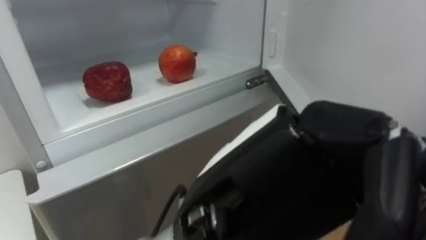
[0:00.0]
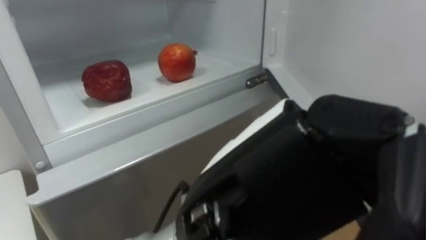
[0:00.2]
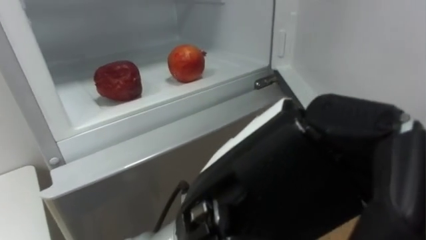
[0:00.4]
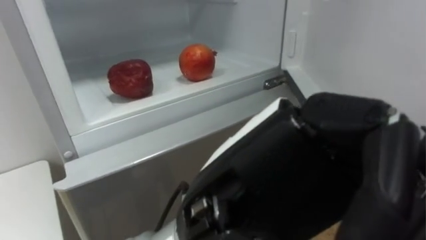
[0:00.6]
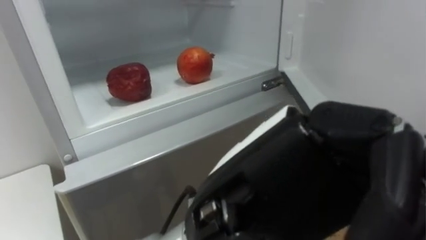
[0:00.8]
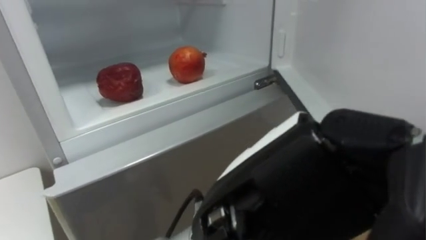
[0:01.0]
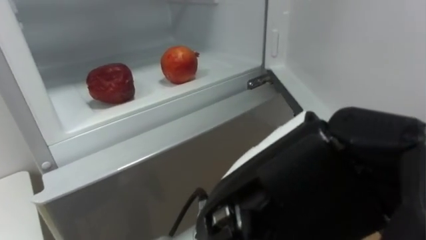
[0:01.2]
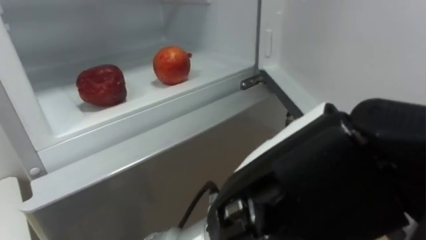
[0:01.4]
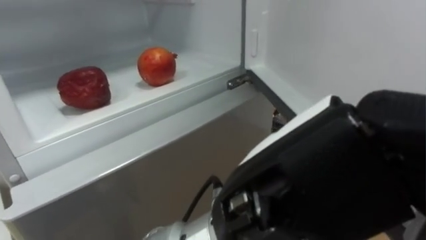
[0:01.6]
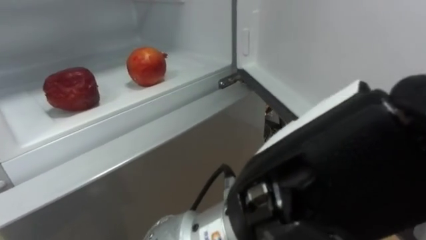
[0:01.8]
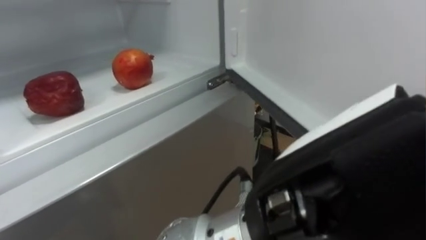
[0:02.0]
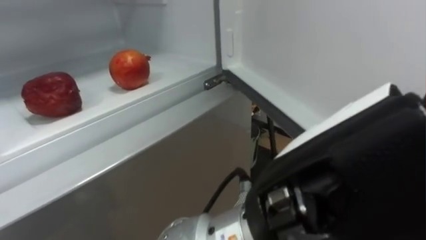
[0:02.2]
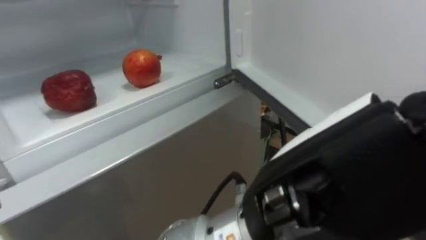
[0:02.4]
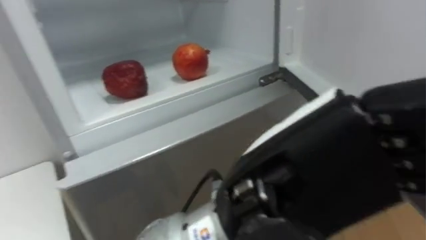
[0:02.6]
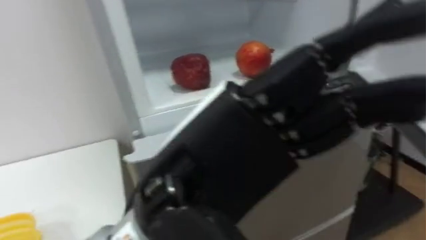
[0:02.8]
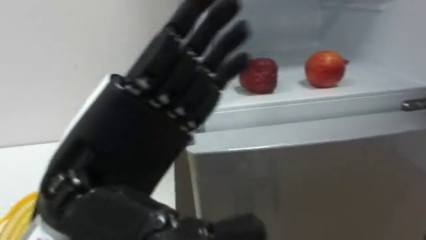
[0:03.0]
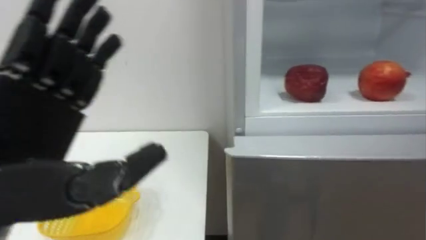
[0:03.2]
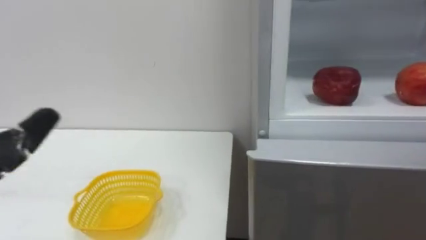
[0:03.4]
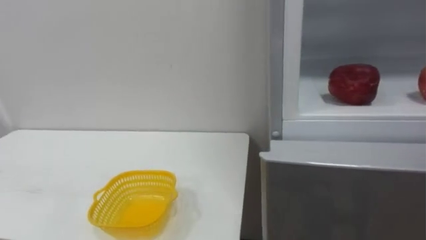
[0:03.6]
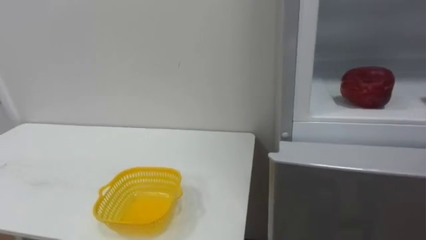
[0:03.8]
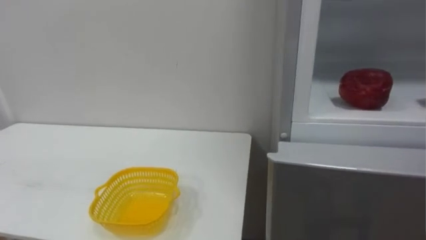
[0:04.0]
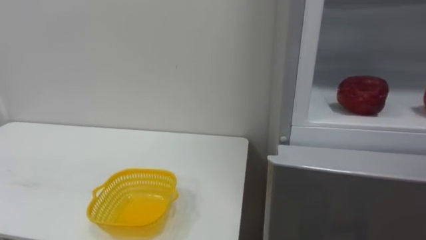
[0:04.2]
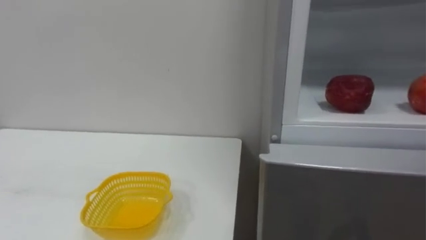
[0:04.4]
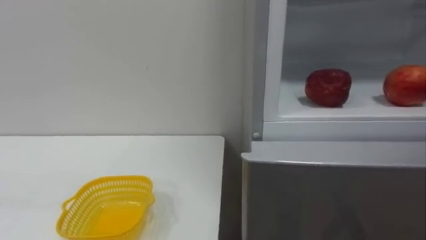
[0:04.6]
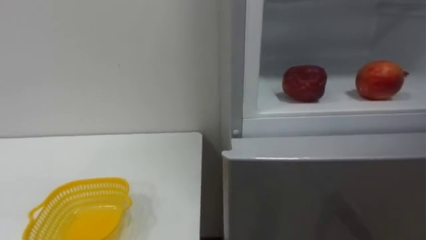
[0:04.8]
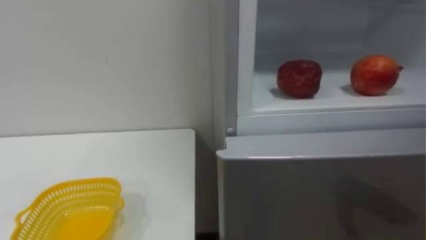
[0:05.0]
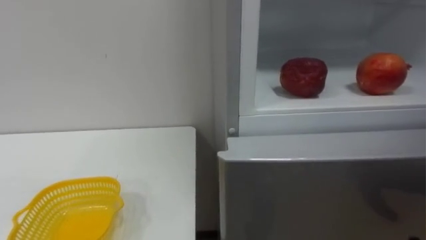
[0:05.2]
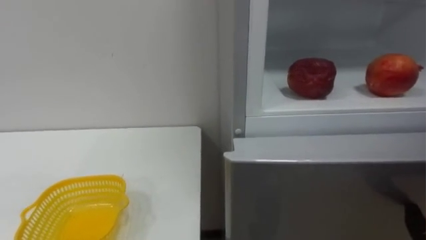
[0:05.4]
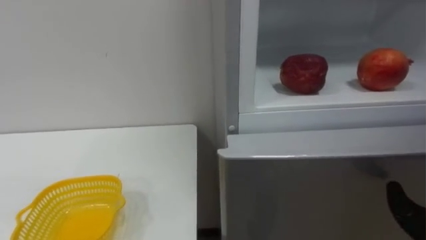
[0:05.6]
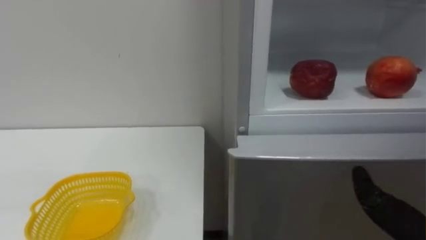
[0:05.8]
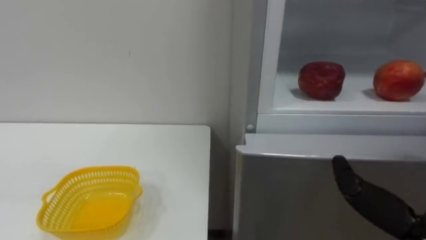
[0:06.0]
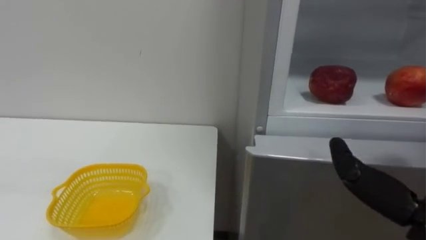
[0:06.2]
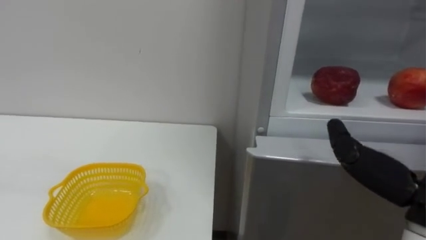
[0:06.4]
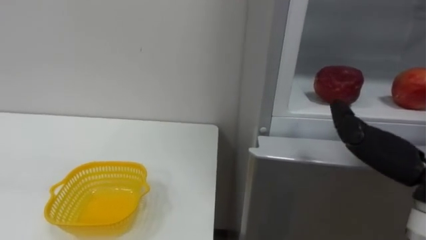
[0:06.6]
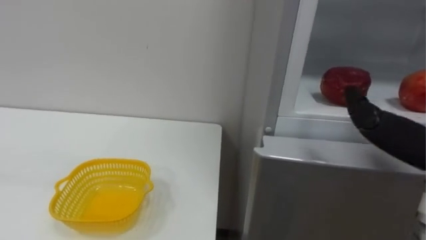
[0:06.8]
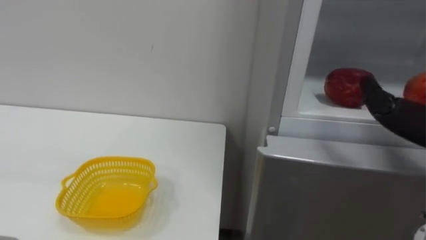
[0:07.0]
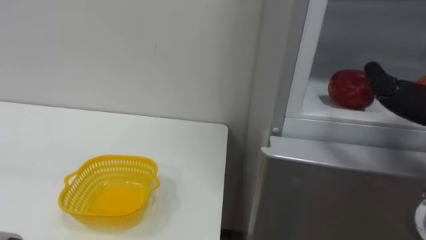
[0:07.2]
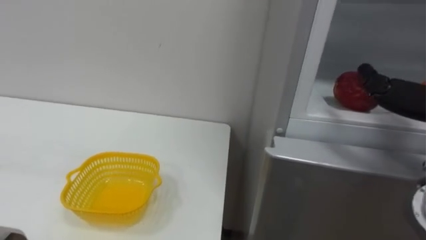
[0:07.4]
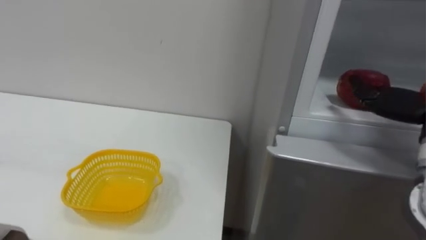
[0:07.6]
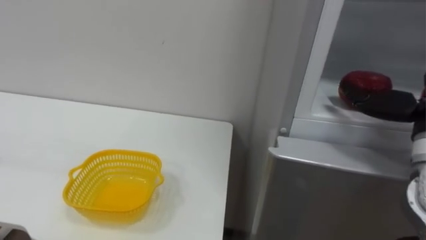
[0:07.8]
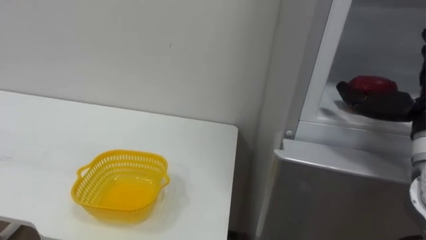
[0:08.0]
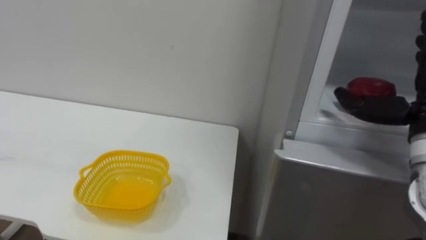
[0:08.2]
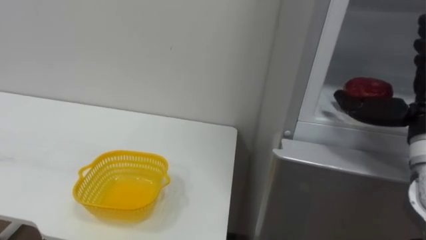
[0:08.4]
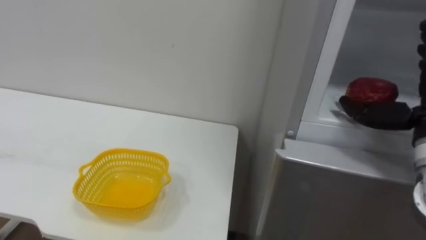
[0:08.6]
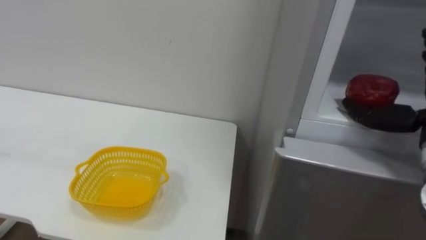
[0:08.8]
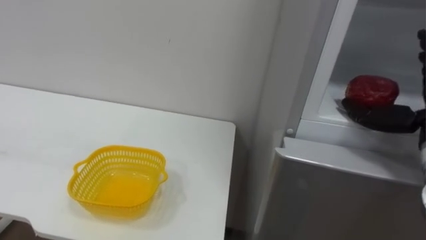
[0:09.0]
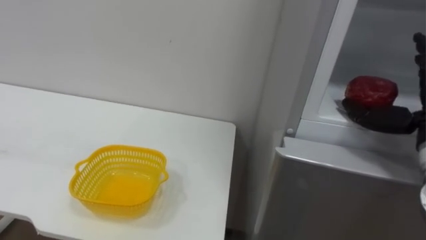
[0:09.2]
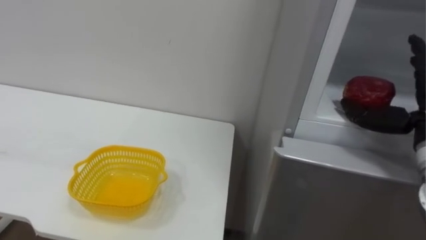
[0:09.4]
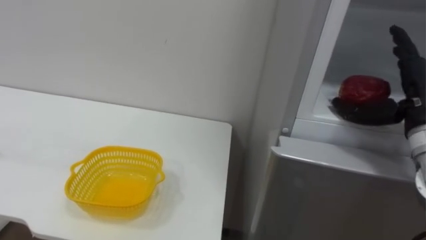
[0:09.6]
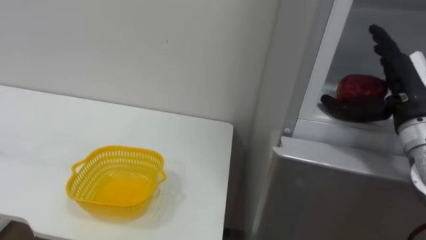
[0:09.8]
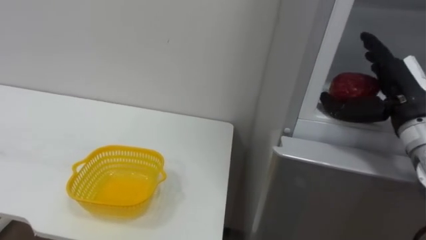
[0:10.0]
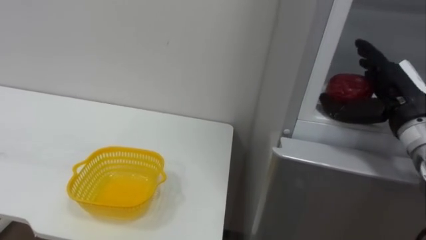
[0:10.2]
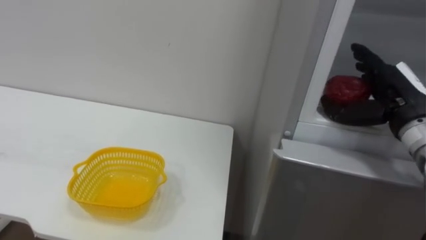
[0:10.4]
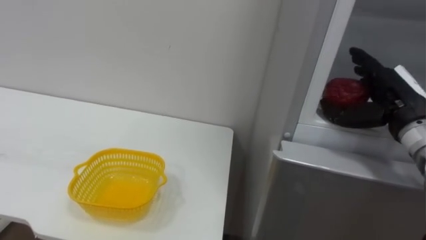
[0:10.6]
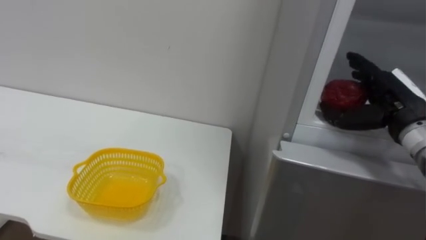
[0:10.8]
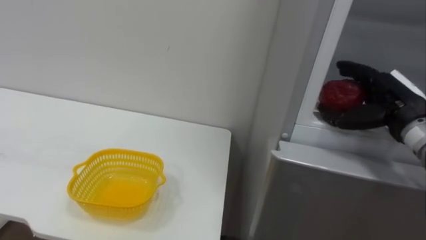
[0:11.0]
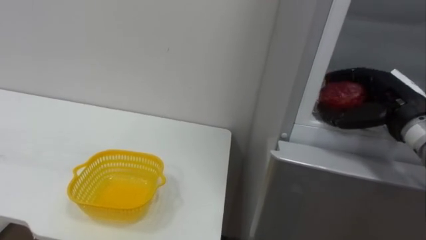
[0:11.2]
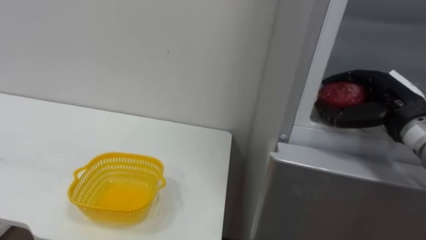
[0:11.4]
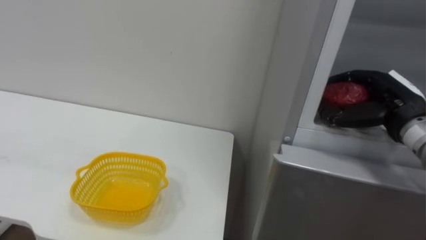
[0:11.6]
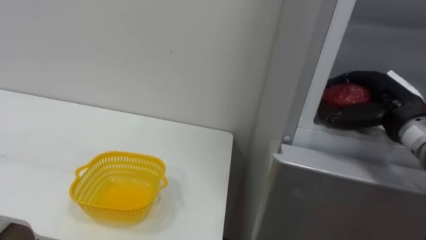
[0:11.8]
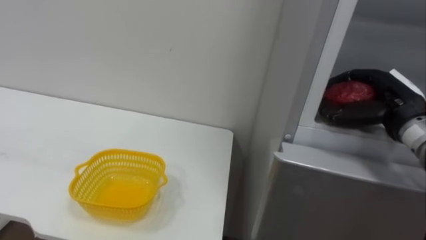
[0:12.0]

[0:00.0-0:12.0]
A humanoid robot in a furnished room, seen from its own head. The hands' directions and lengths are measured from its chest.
Task of the whole recording: Open the refrigerator door, take out the apple and the pomegranate, place them in the fruit basket on the left, and close the refrigerator door.
0:01.6 to 0:03.0: The left hand heads to the left, covering roughly 15 cm, and opens its fingers.
0:10.4 to 0:12.0: The right hand closes its fingers.

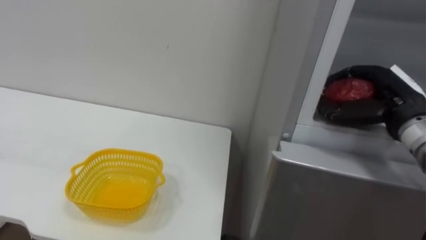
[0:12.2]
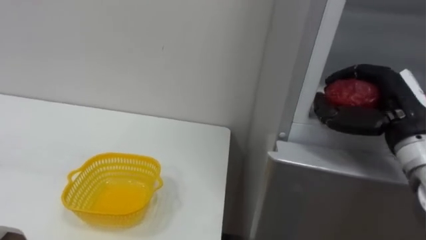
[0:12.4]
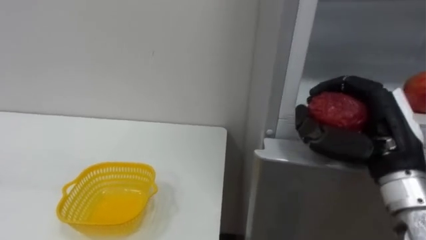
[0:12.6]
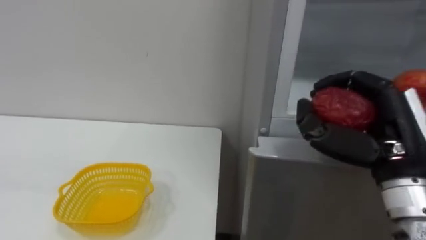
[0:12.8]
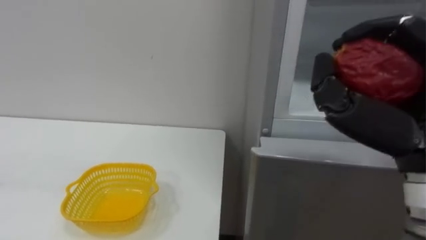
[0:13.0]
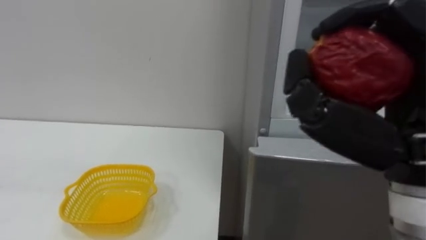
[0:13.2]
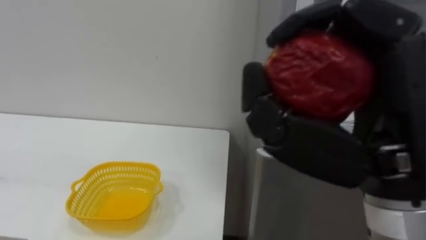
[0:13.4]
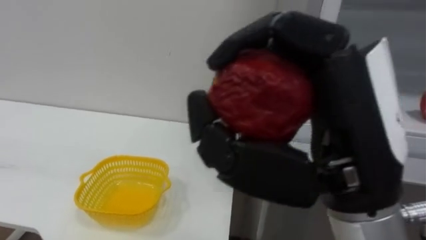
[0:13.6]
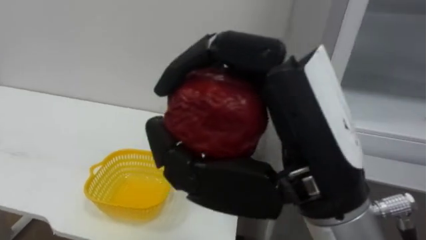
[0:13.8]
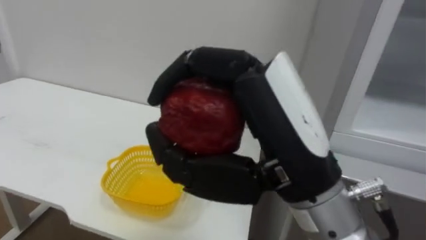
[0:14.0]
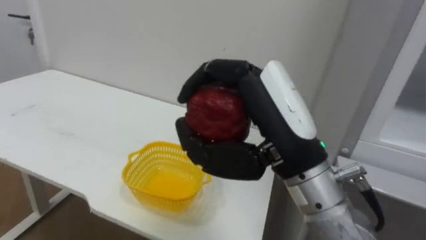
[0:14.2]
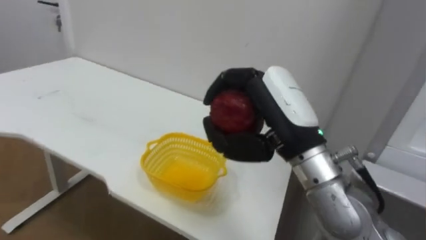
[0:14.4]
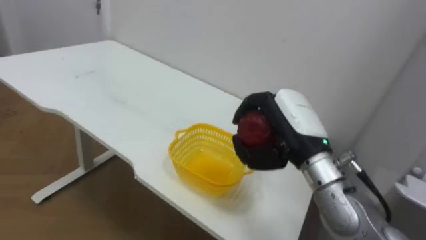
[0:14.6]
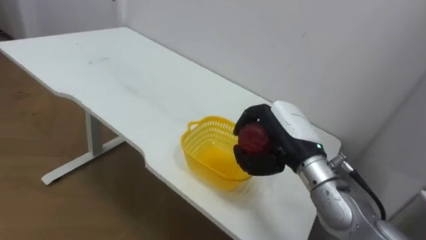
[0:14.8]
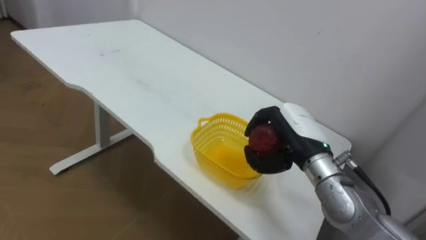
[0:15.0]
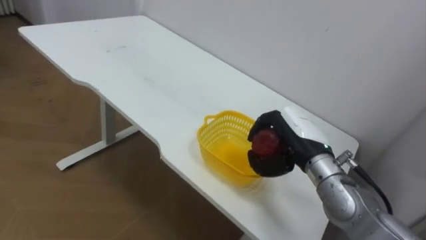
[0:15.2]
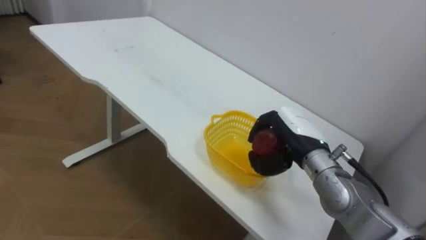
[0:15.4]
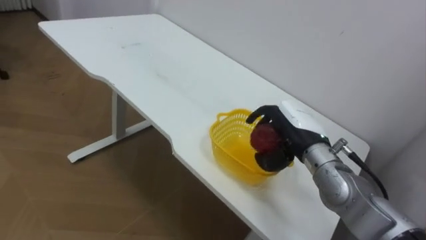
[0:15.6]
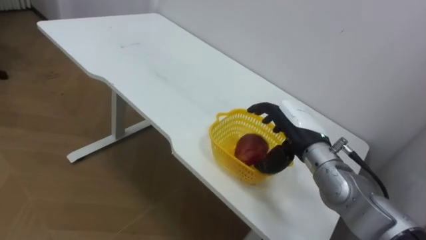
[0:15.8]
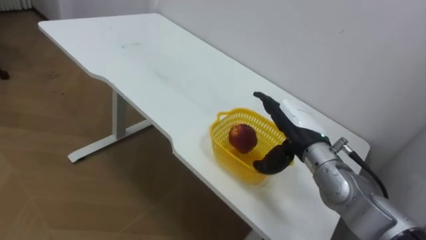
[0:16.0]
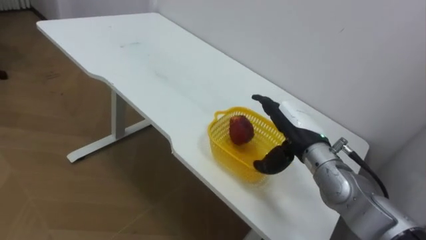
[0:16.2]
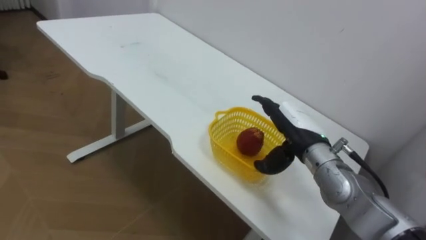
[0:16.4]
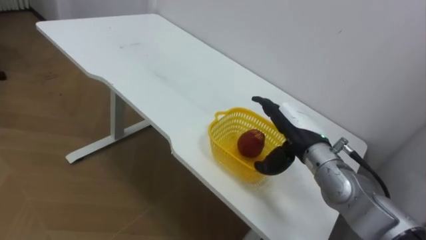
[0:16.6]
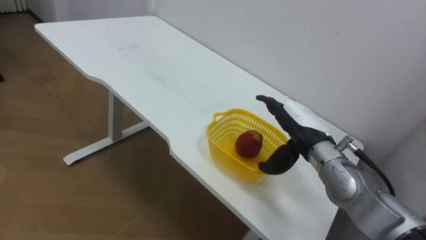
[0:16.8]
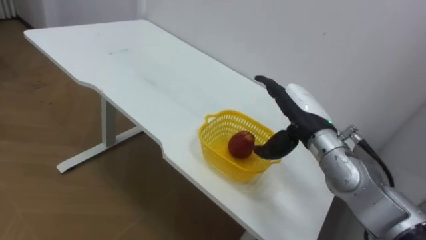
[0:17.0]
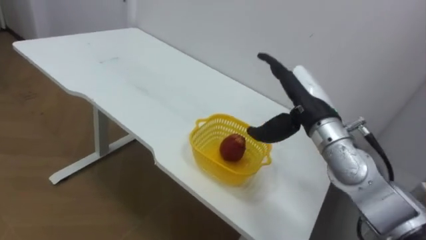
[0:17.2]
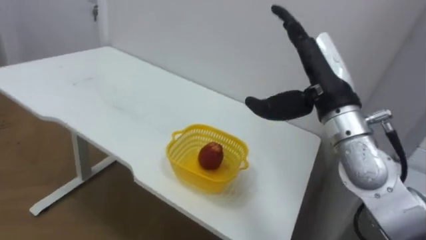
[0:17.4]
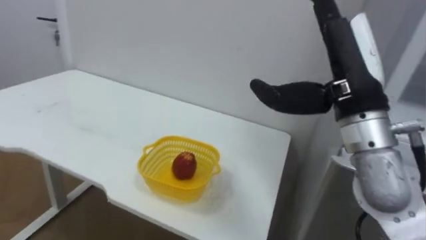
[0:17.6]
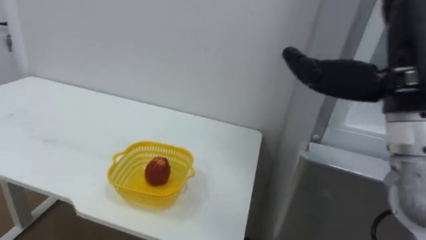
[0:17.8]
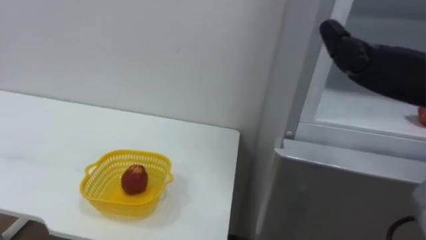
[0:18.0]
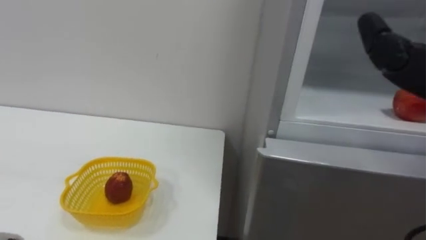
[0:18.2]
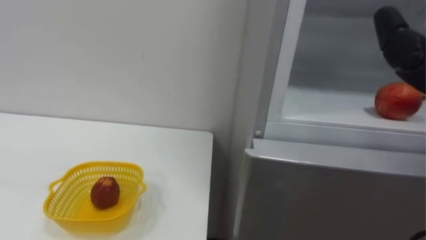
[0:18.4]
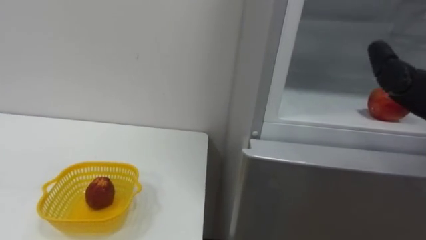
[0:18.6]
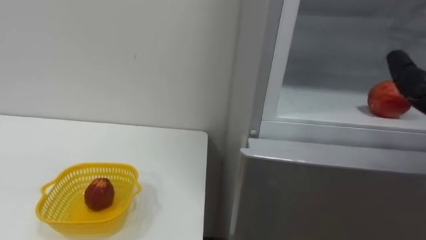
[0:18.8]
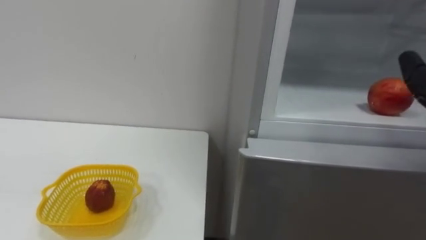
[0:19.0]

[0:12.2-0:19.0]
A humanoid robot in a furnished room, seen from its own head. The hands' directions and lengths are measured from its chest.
Task of the whole recording: Open the refrigerator door, take out the apple and the pomegranate, place them in the fruit basket on the left, and close the refrigerator door.
0:12.2 to 0:13.6: The right hand is displaced backward, to the left and upward by roughly 25 cm.
0:13.6 to 0:15.0: The right hand shifts about 25 cm forward and downward.
0:15.0 to 0:16.2: The right hand opens its fingers.
0:16.2 to 0:17.6: The right hand shifts roughly 20 cm upward and backward.
